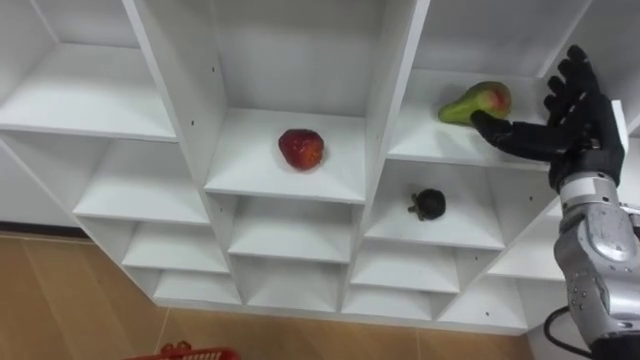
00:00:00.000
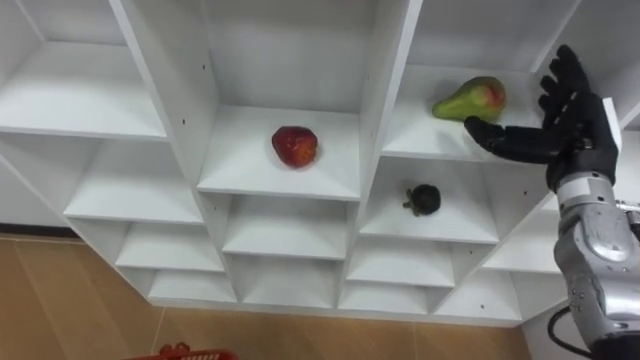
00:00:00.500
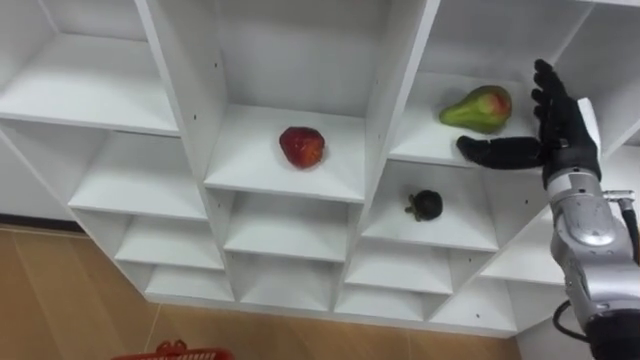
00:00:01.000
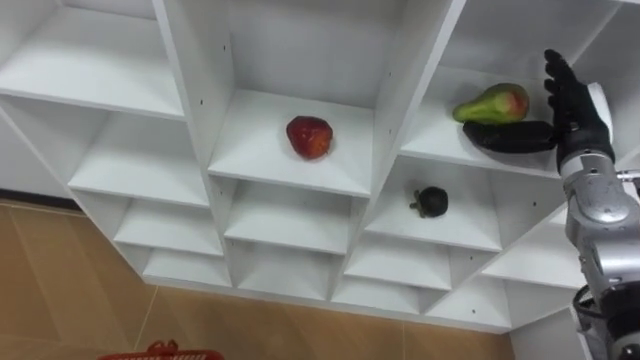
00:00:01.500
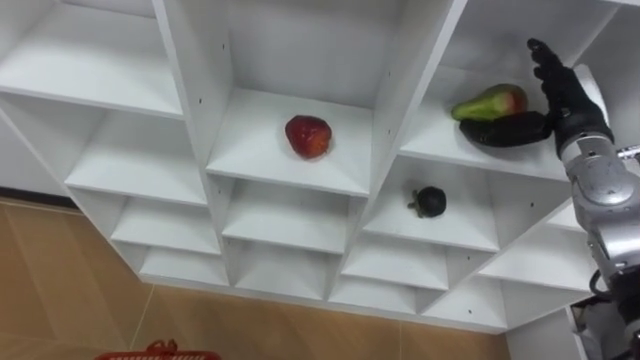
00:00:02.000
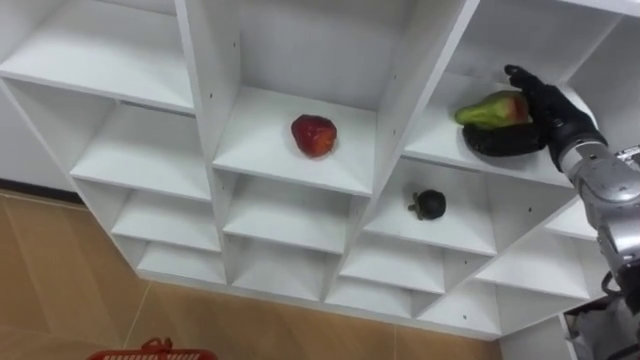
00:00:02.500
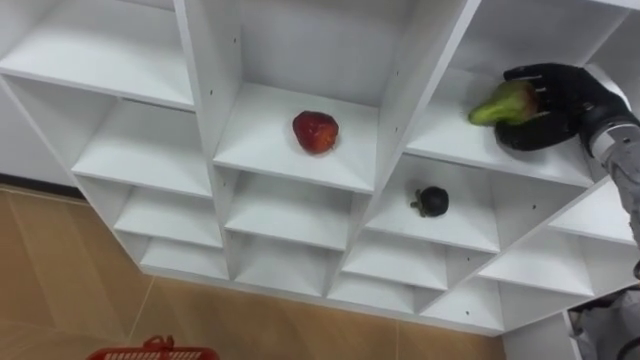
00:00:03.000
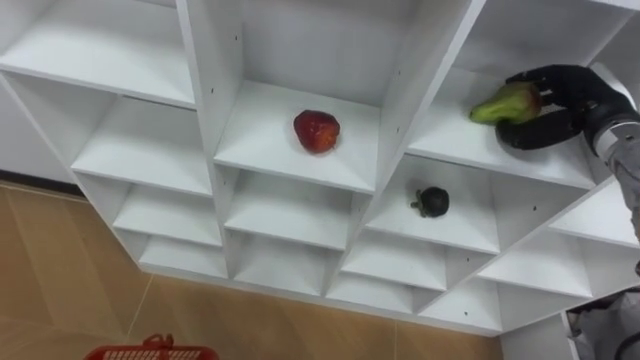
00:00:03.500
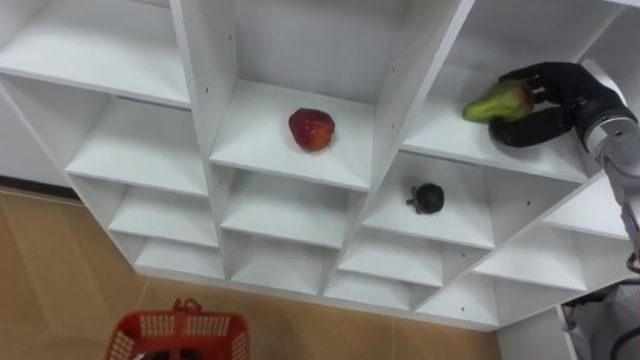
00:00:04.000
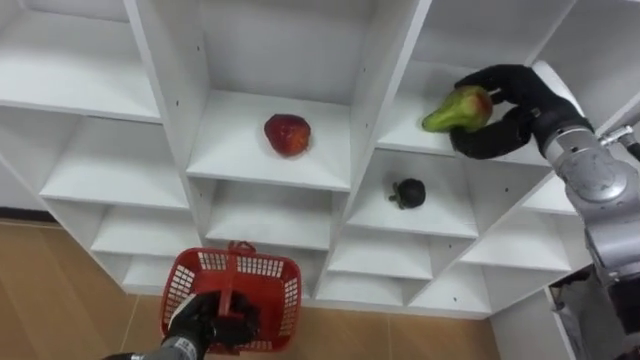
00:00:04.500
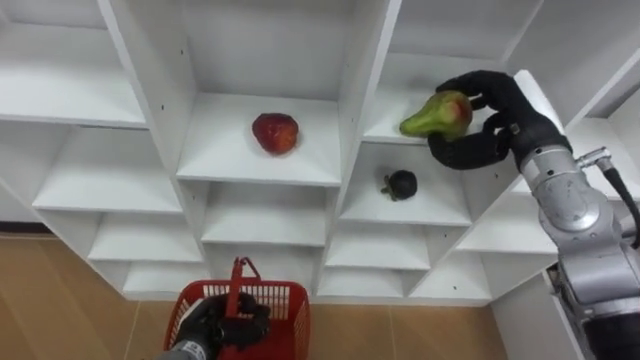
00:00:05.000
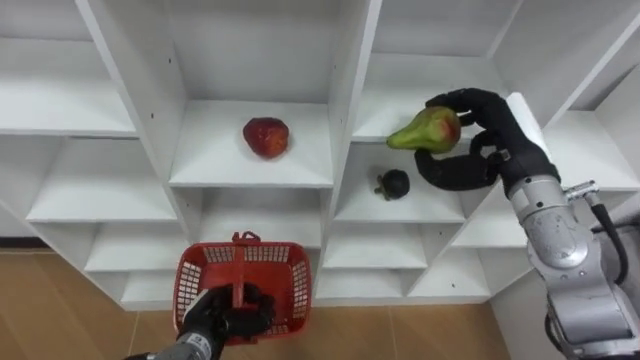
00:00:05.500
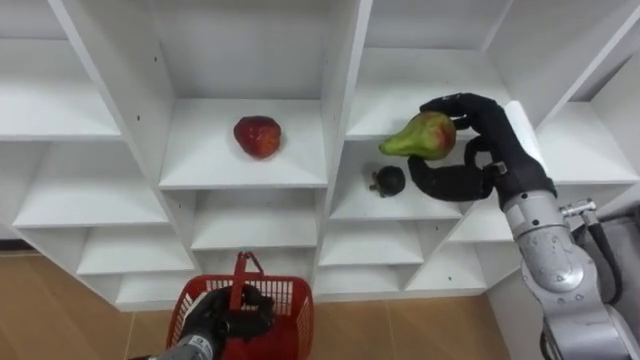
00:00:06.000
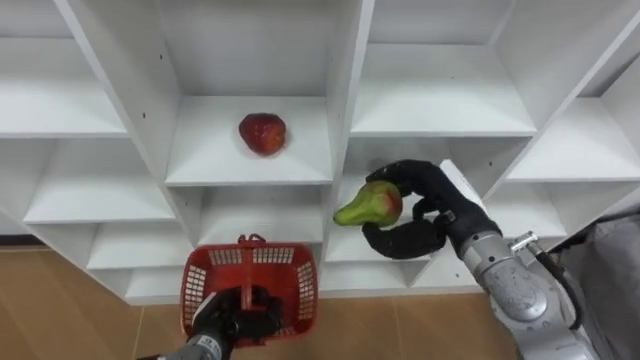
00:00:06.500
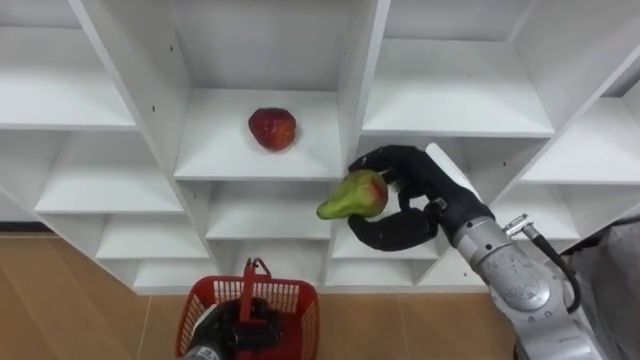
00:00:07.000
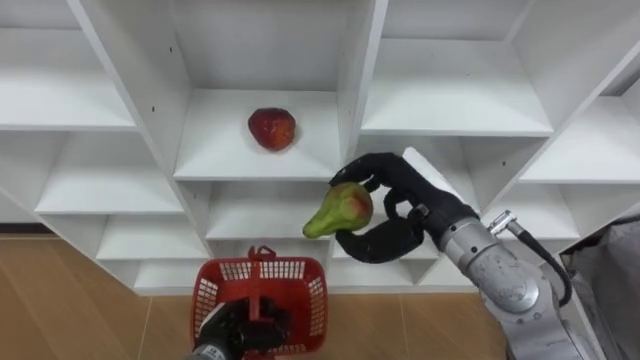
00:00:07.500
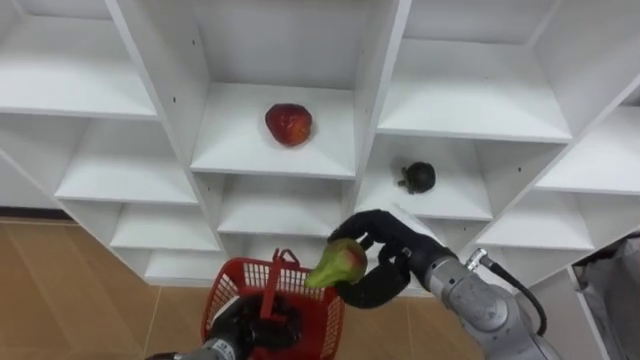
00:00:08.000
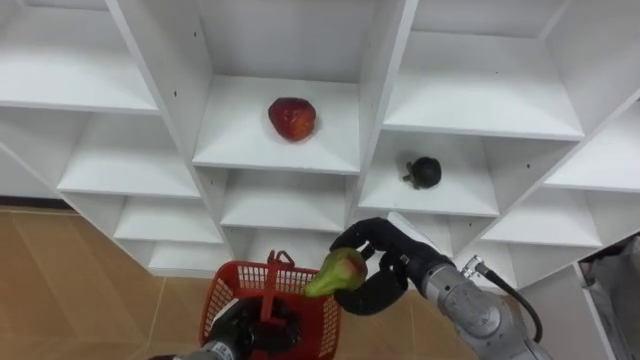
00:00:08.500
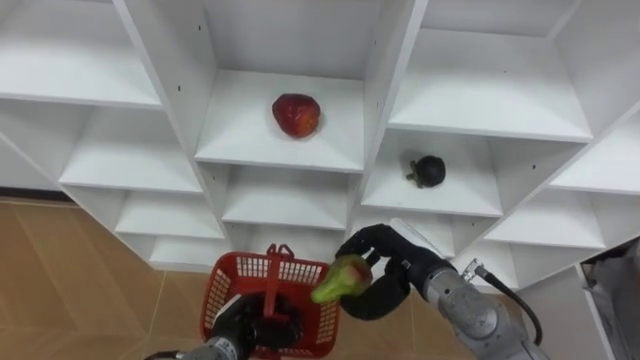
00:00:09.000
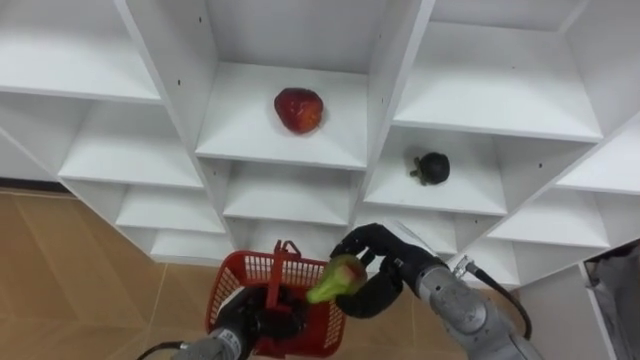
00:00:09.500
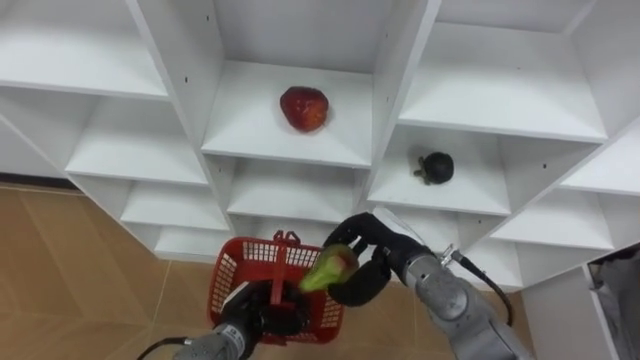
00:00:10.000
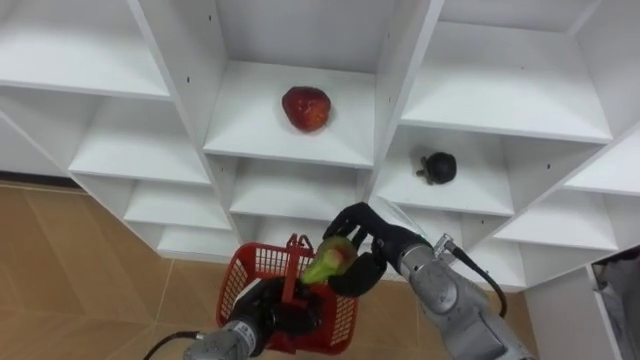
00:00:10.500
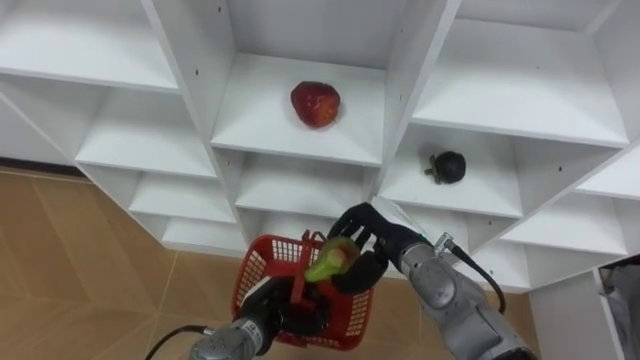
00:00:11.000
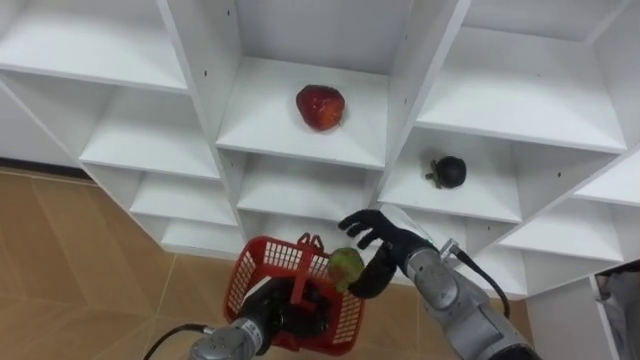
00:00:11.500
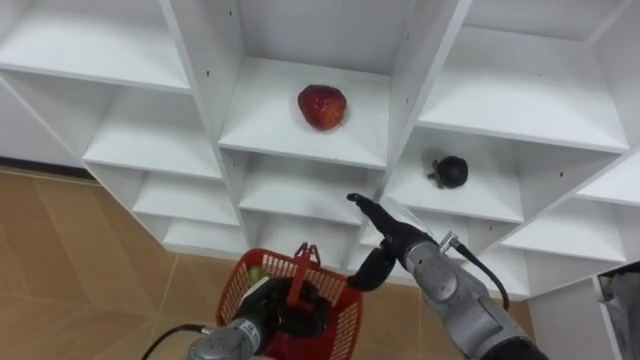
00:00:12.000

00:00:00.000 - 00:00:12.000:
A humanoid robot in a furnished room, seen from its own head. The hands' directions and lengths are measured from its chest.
Task of the whole recording: Hold the basket and collect the fruits from 3 different cells of the closet into it.
00:00:02.000 - 00:00:04.000: The right hand closes its fingers.
00:00:04.000 - 00:00:06.000: The right hand goes about 15 cm to the left and backward.
00:00:06.000 - 00:00:08.000: The right hand moves downward and to the left, approximately 15 cm.
00:00:10.000 - 00:00:12.000: The right hand opens its fingers.

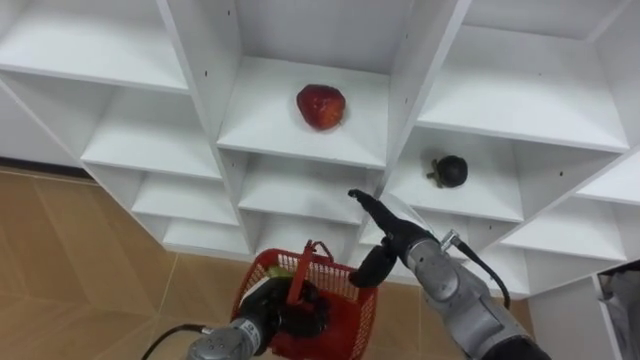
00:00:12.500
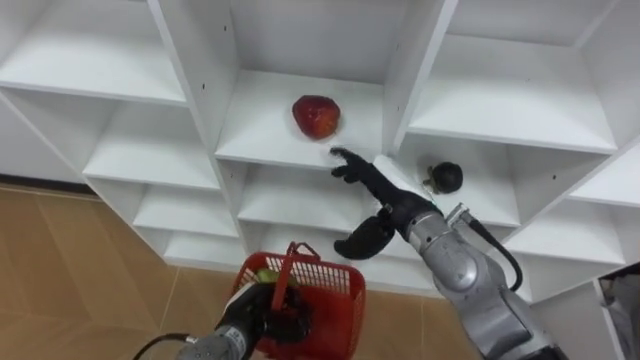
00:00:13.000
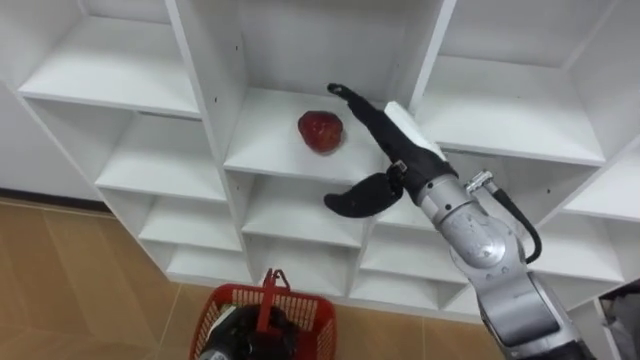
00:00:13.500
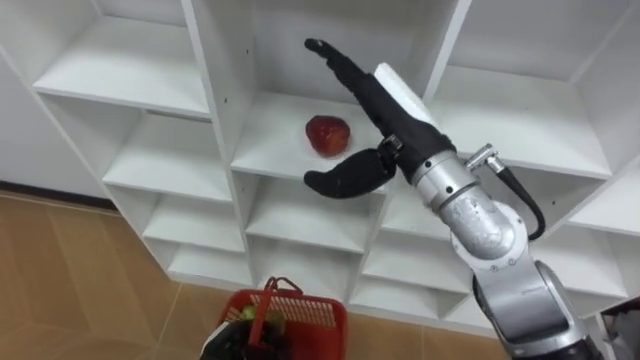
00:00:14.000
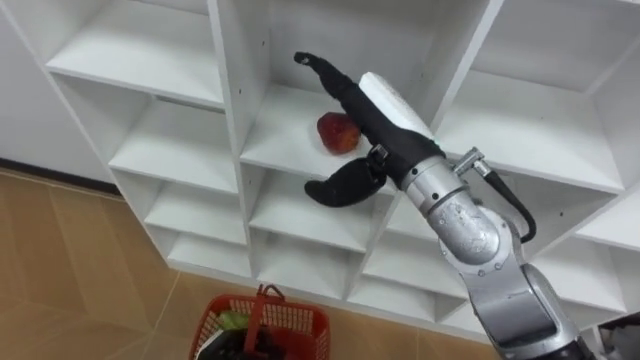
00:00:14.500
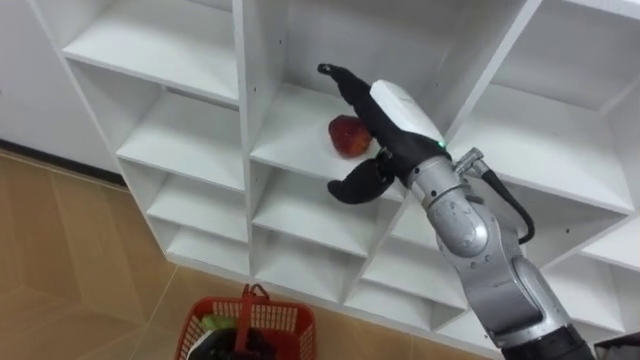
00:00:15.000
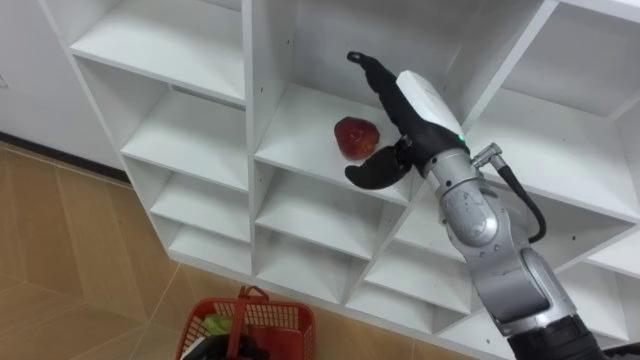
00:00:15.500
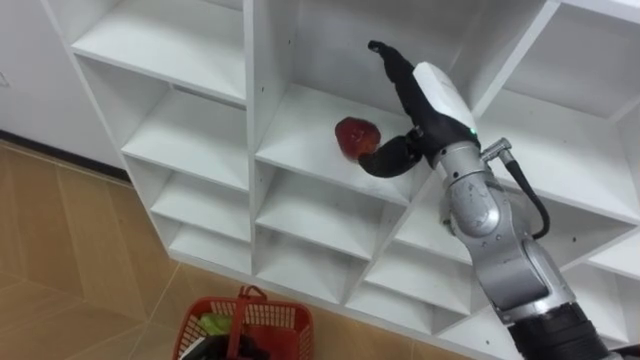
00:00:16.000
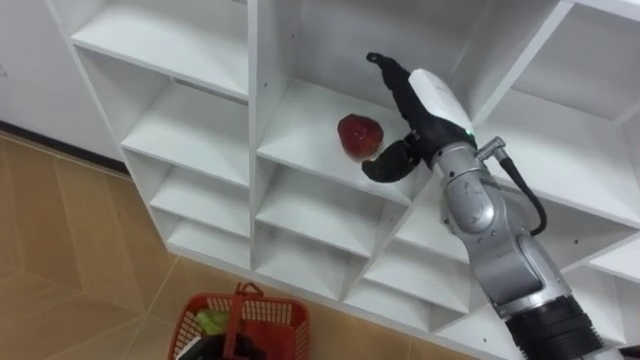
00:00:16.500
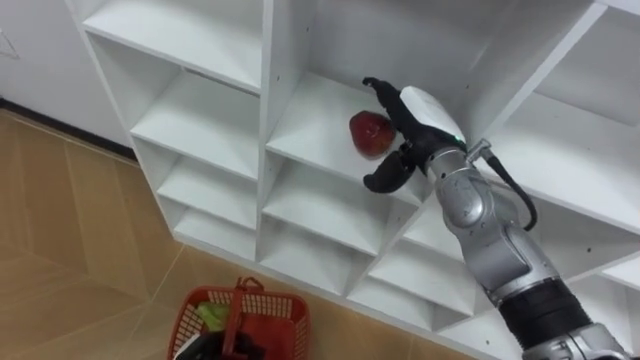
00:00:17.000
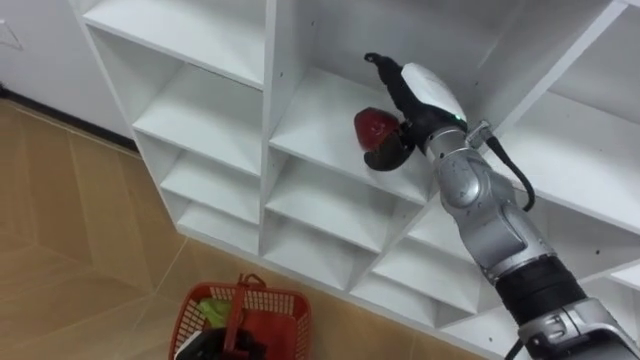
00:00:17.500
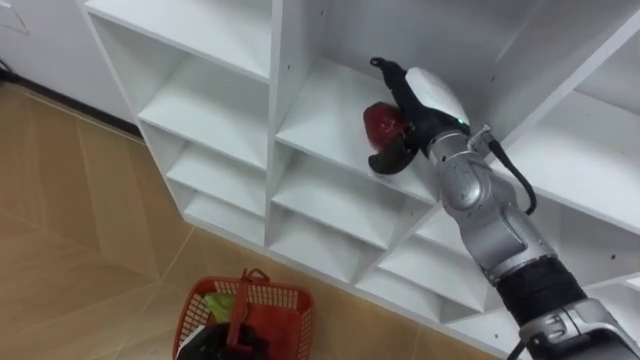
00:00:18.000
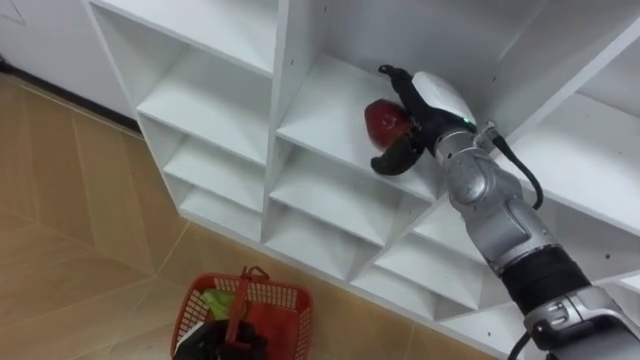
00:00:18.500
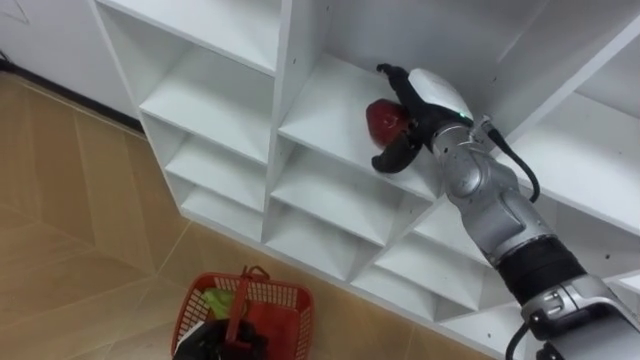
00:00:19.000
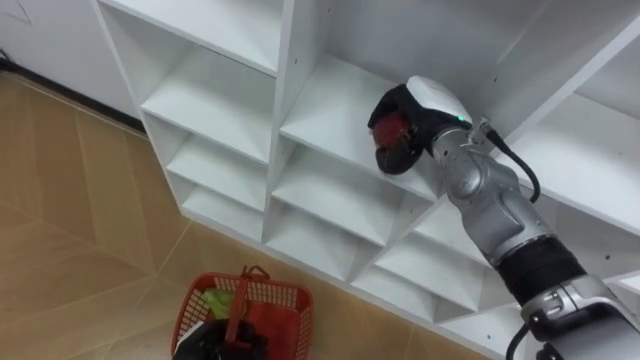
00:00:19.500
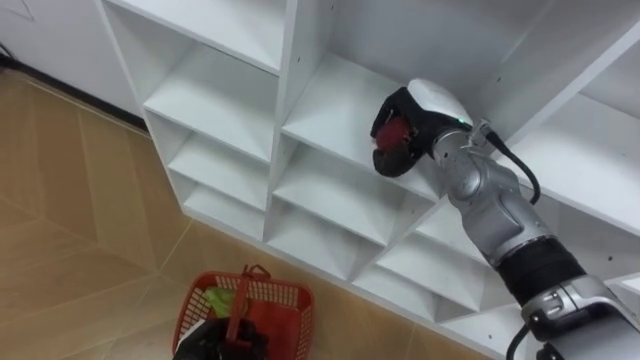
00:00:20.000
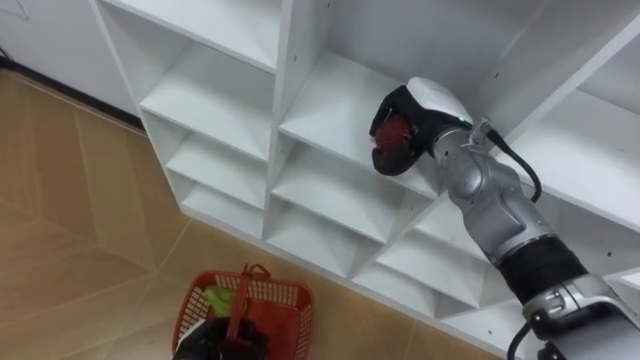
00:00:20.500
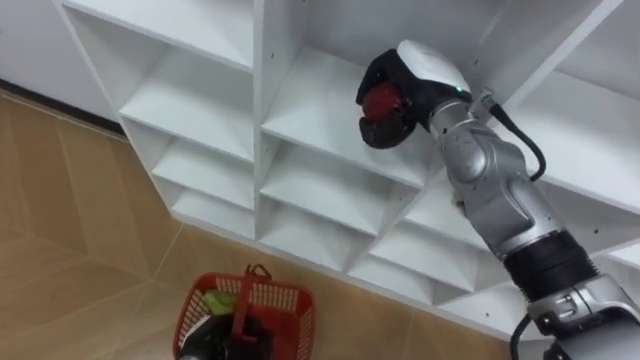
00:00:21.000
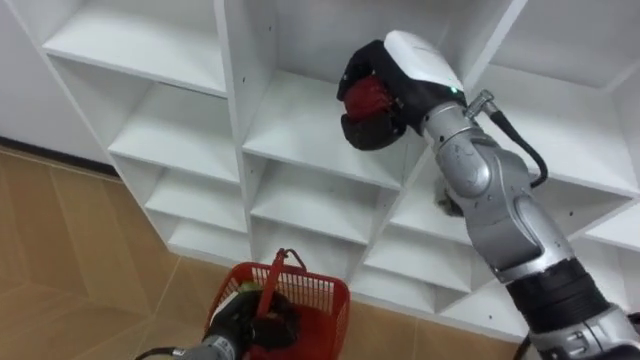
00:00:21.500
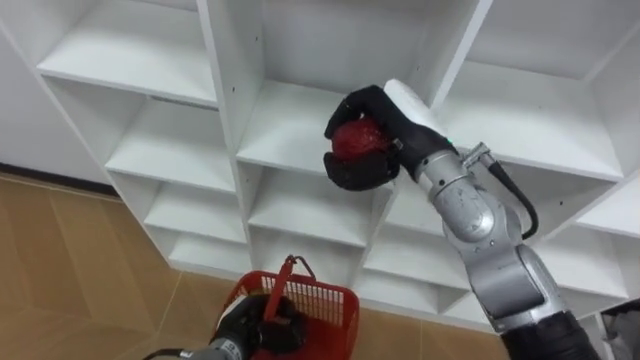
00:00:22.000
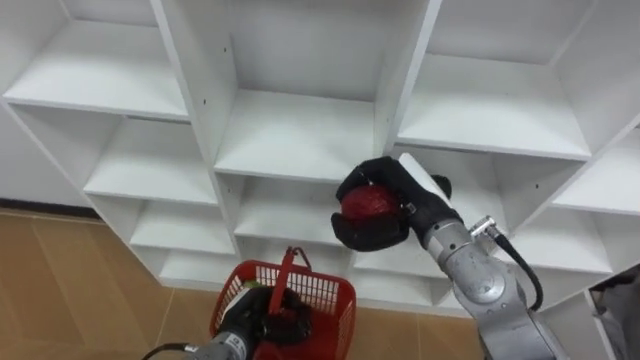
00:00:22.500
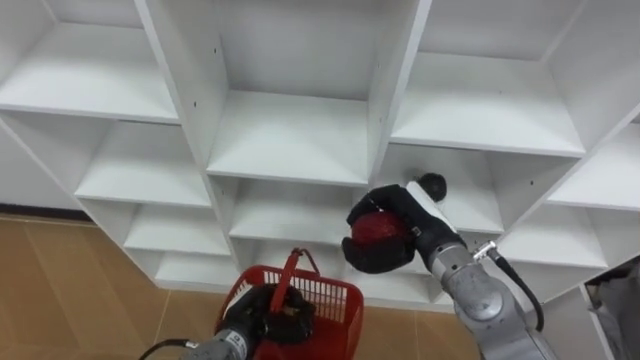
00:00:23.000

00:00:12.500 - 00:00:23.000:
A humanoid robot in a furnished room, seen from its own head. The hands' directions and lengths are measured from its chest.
Task of the whole recording: Hold the basket and collect the fruits from 3 different cells of the closet into it.
00:00:12.500 - 00:00:14.500: The left hand moves backward and to the left, approximately 10 cm. Meanwhile the right hand travels upward by some 20 cm.
00:00:14.500 - 00:00:16.500: The right hand travels to the right by some 5 cm.
00:00:16.500 - 00:00:19.000: The right hand ends up about 5 cm from where it was.
00:00:19.000 - 00:00:21.000: The right hand closes its fingers.
00:00:21.000 - 00:00:23.000: The right hand moves downward and backward, some 15 cm. Meanwhile the left hand goes some 5 cm to the right.
